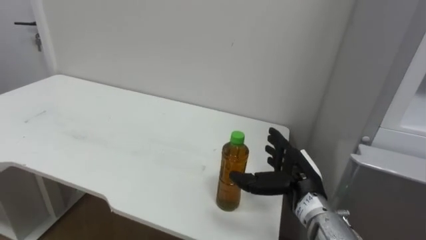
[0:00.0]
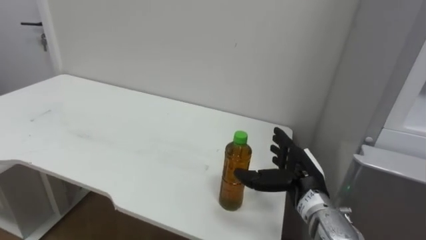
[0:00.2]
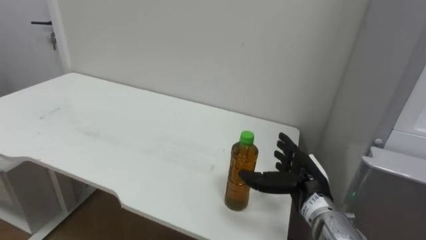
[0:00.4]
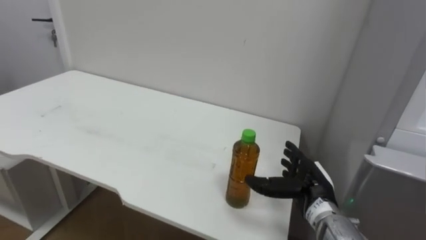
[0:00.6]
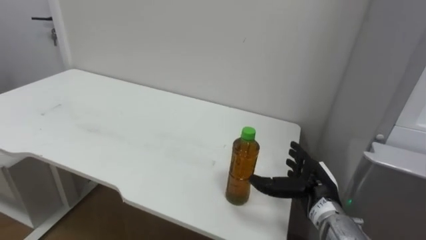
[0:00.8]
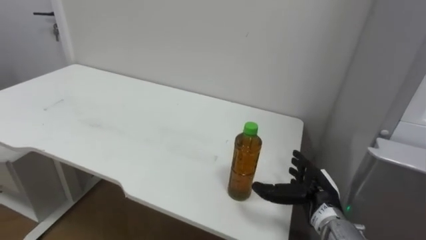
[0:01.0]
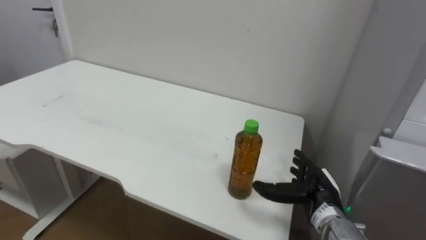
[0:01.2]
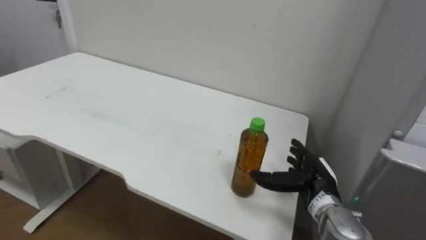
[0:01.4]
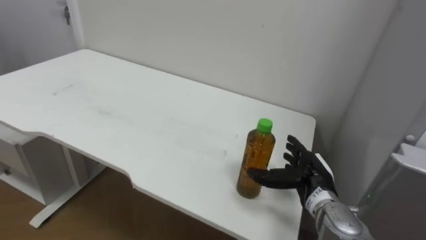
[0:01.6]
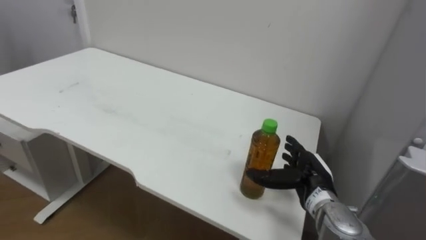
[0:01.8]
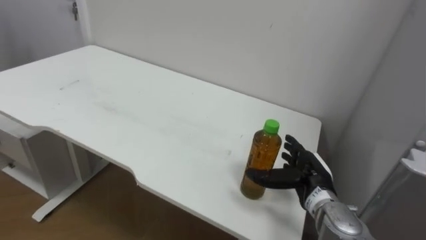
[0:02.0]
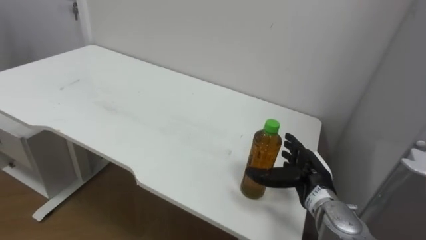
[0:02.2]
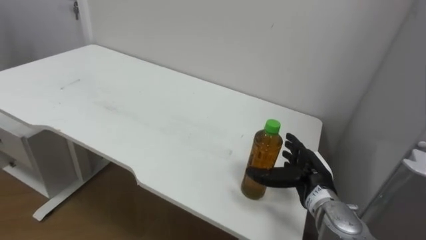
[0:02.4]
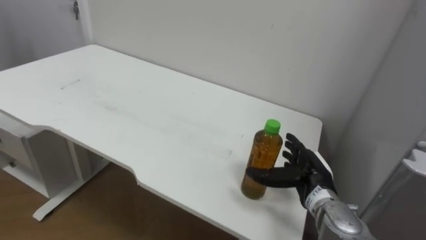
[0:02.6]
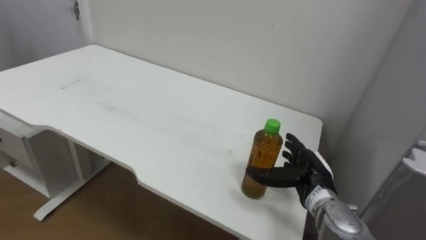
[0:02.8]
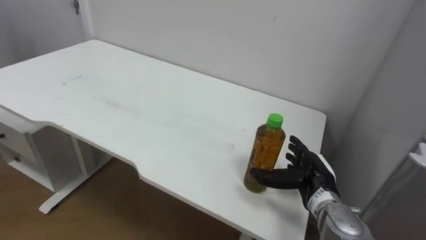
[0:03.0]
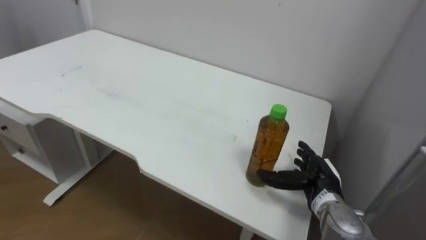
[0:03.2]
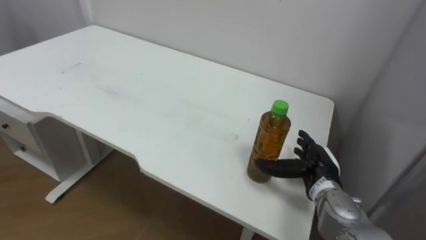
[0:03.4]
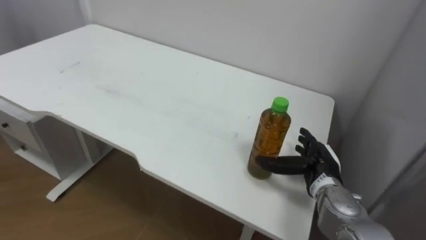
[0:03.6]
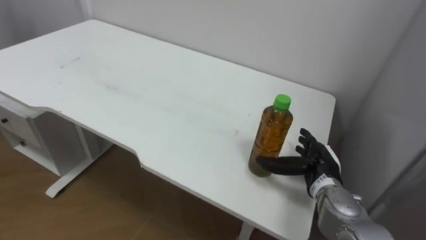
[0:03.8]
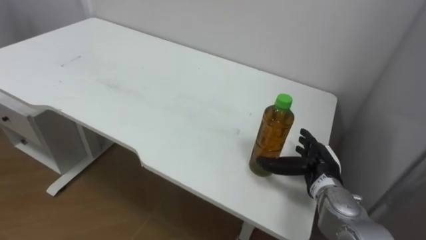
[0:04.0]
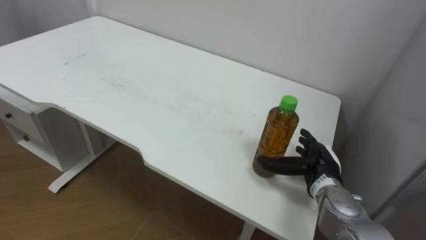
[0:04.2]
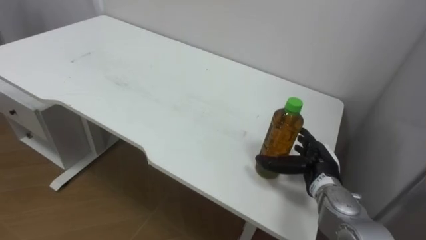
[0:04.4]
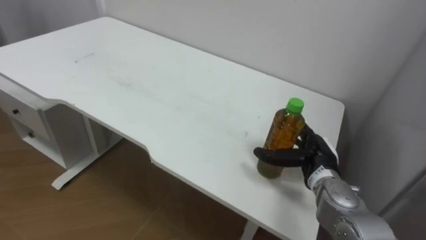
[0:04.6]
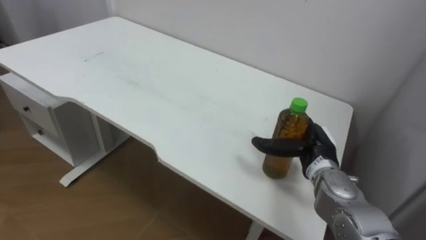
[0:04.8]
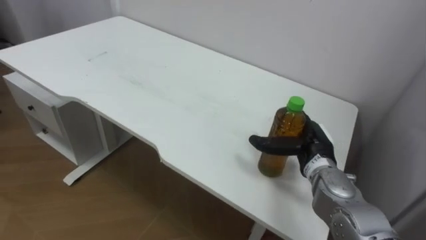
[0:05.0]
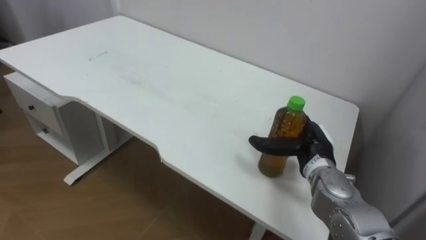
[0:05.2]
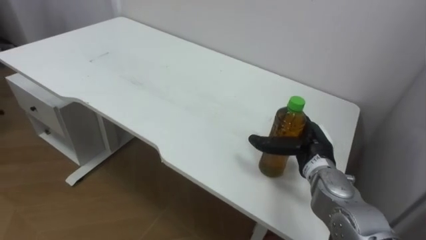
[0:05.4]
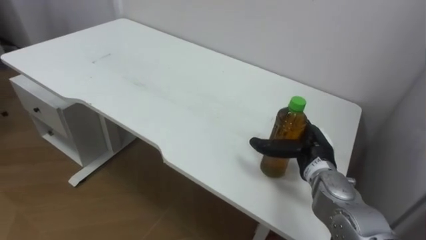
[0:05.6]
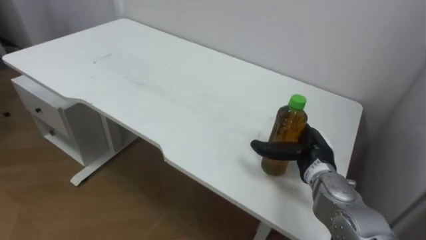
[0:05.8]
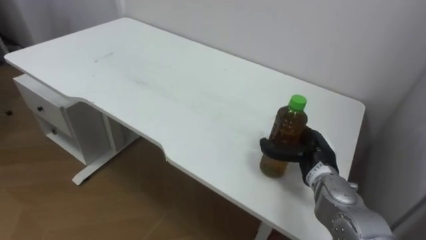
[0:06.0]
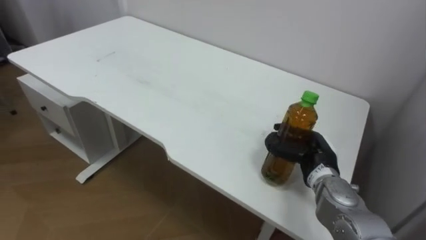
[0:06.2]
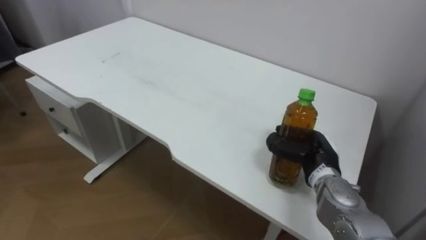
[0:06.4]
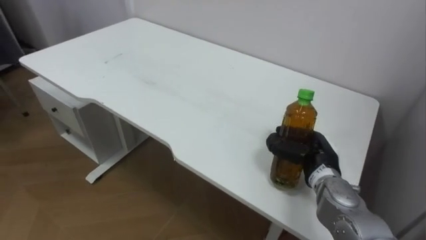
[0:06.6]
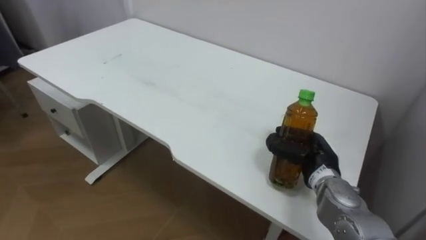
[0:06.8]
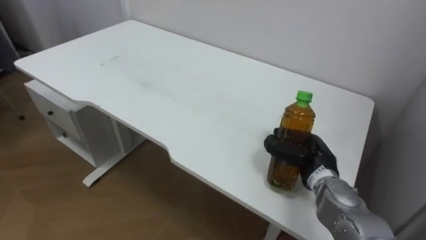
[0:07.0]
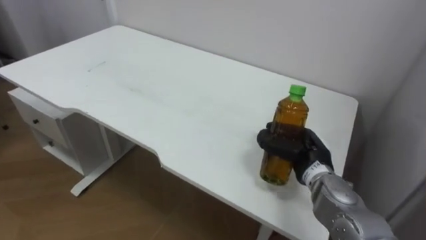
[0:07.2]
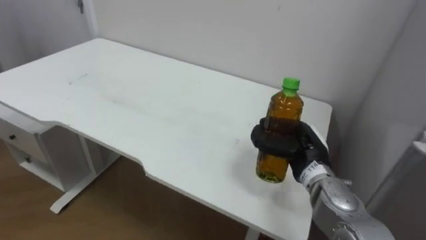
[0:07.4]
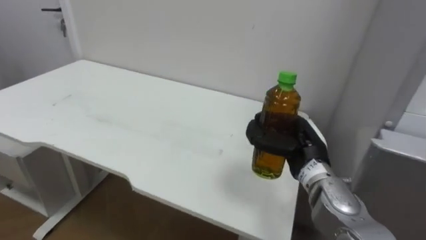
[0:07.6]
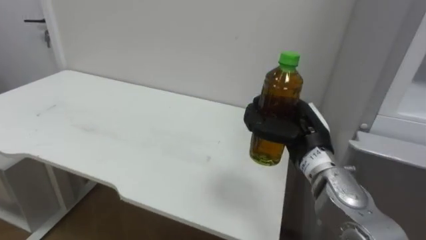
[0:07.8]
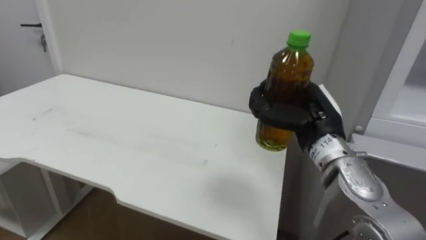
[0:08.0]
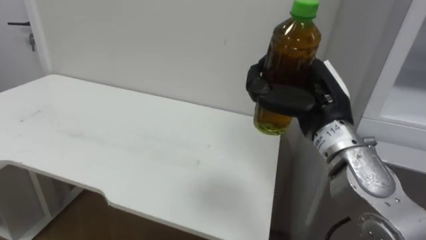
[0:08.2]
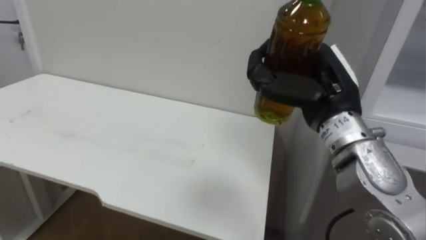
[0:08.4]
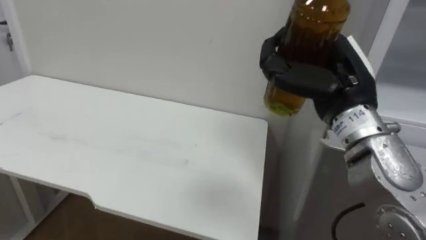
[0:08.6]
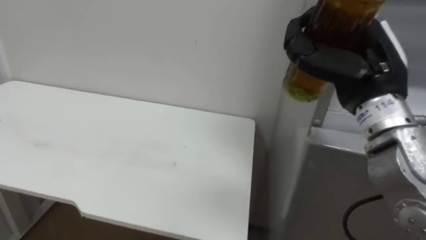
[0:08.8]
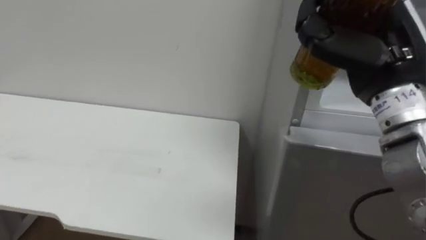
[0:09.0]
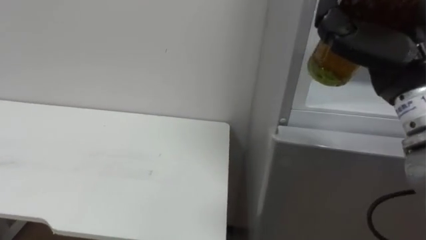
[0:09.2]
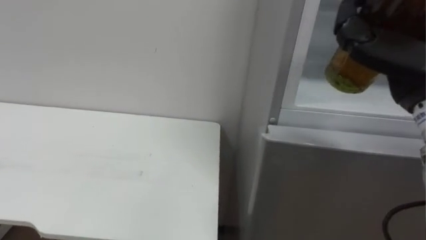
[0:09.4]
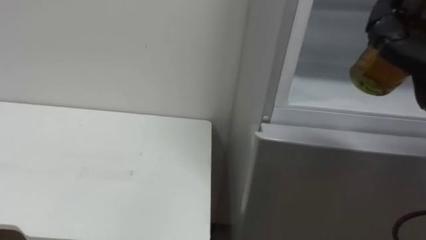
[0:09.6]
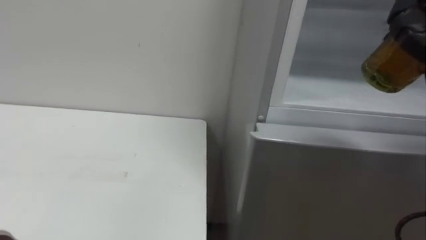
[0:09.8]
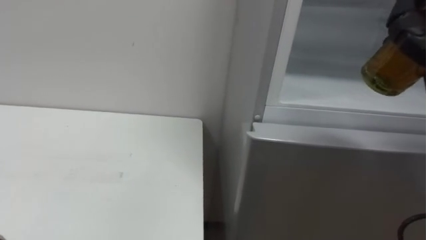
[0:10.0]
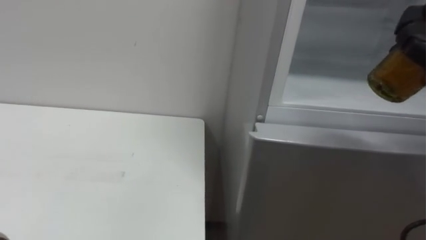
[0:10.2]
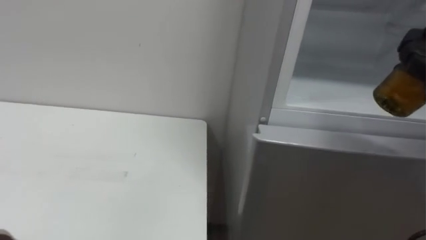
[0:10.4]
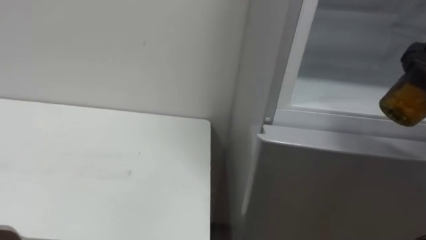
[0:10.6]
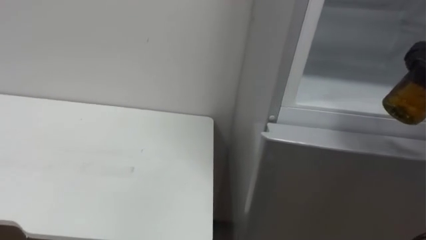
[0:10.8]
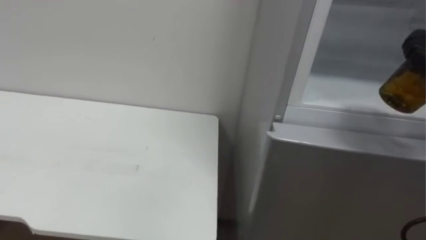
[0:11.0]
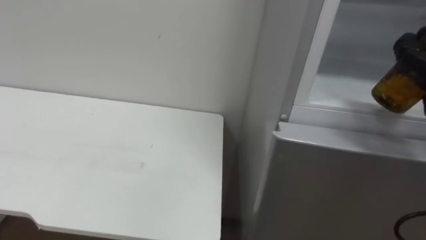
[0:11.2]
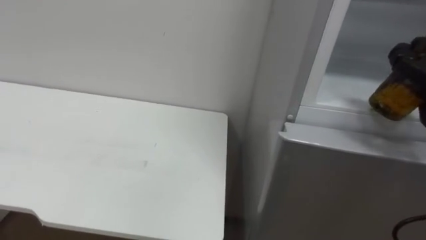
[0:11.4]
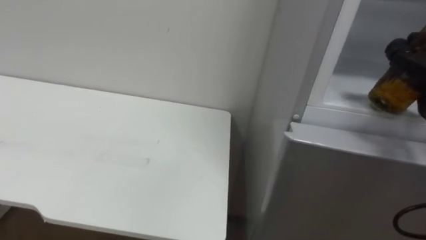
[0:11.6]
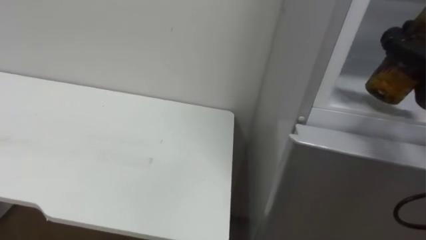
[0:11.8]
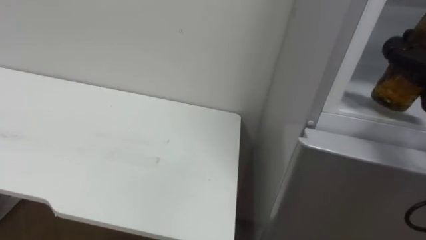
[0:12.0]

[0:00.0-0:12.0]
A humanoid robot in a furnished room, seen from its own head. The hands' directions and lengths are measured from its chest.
Task of the whole recording: Open the upper refrigerator door, put the drink from the table into the refrigerator, and then close the refrigerator door.
0:06.0 to 0:07.6: The right hand moves roughly 5 cm, and closes up.
0:07.6 to 0:09.0: The right hand is displaced upward by about 20 cm.
